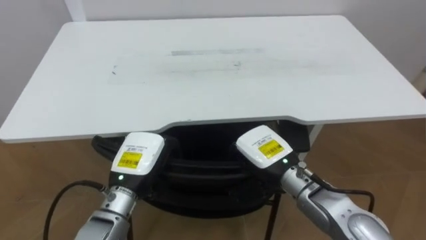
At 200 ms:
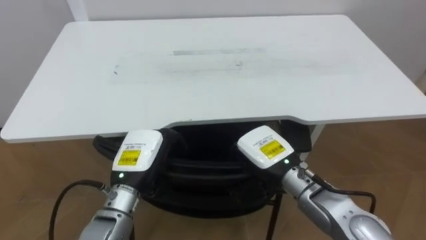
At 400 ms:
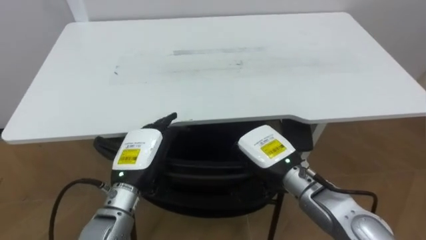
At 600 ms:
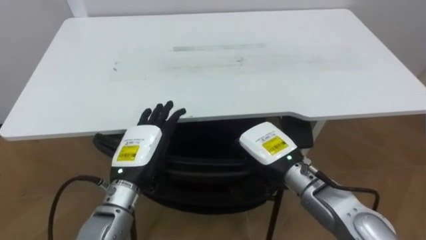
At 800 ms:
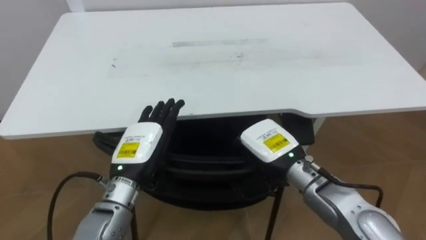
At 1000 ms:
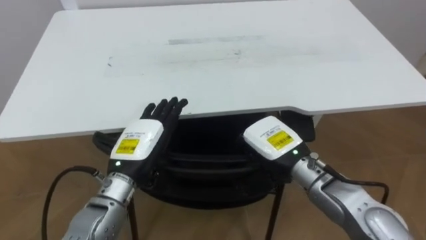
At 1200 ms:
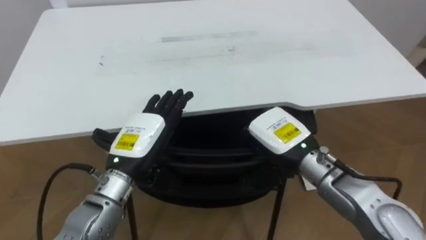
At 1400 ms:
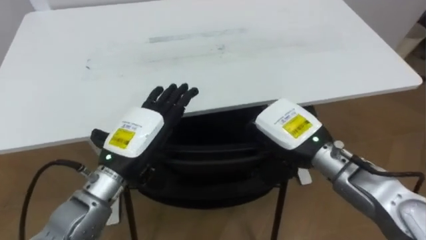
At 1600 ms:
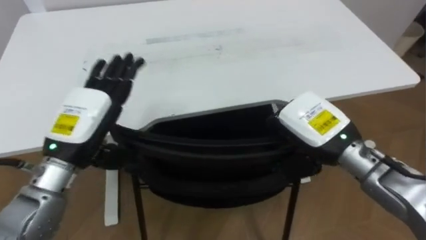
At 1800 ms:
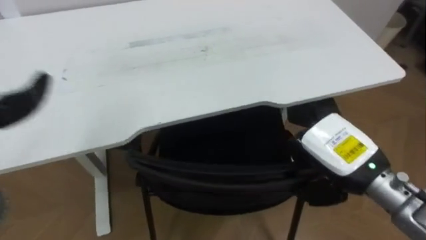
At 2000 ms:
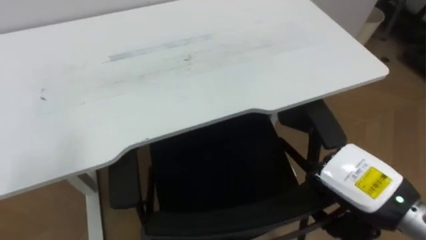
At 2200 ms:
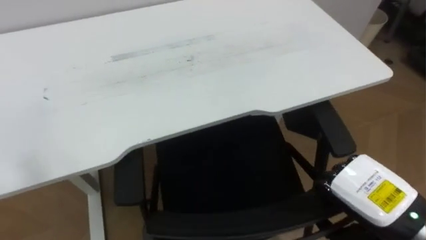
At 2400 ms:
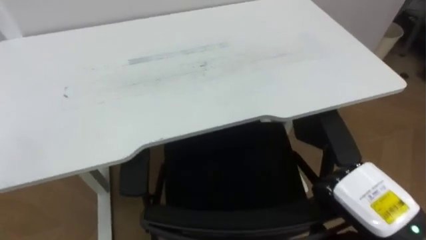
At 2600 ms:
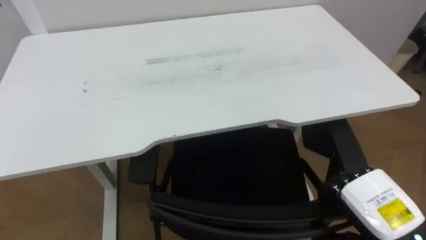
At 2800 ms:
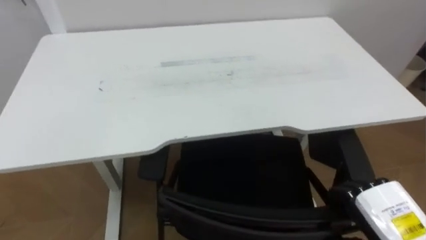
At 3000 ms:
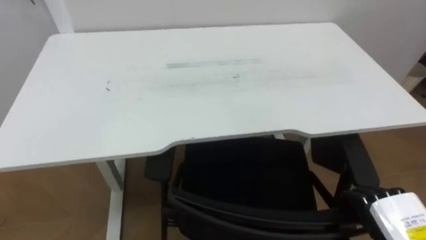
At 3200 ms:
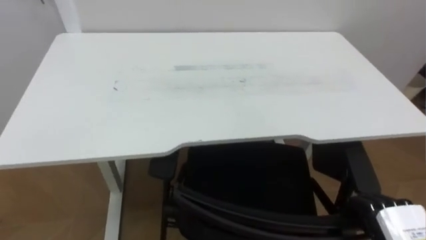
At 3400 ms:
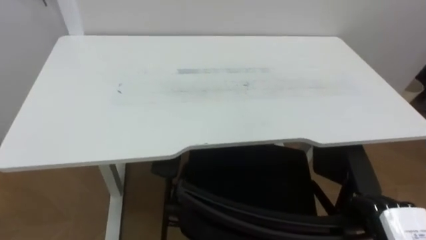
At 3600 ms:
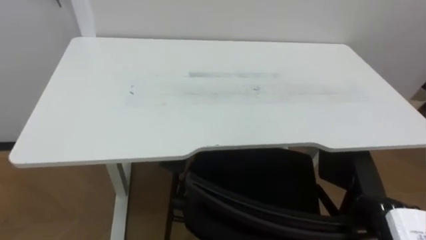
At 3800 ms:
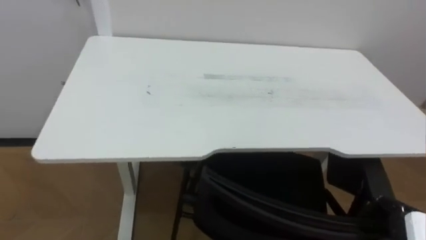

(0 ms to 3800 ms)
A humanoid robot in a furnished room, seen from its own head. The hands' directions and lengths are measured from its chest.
Task of the whole recording: Push the chair under the table.
0 ms - 1200 ms: The left hand opens its fingers; the right hand changes place by some 5 cm.
1200 ms - 2600 ms: The right hand travels to the right and backward by roughly 20 cm.

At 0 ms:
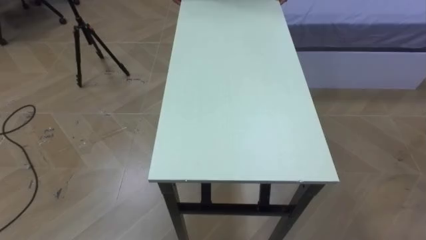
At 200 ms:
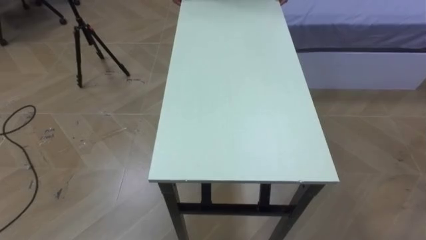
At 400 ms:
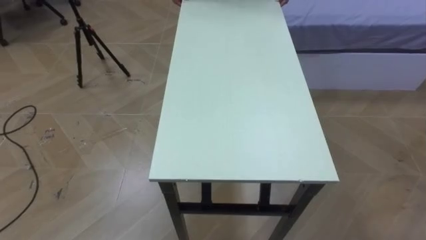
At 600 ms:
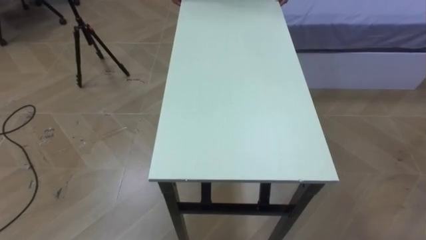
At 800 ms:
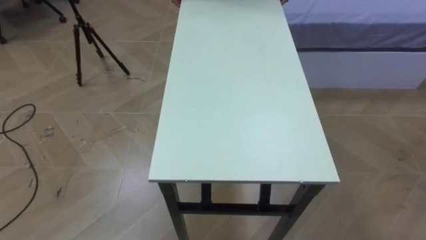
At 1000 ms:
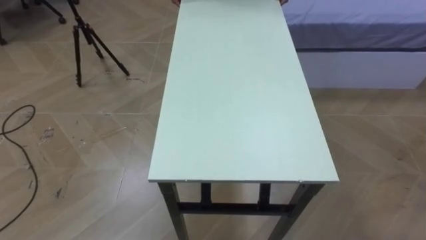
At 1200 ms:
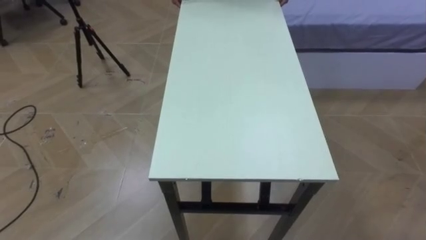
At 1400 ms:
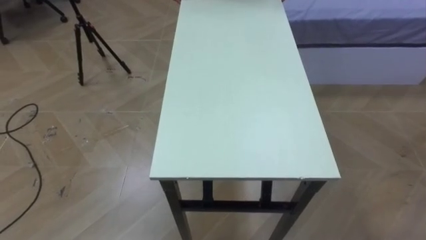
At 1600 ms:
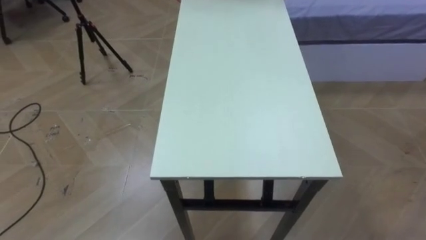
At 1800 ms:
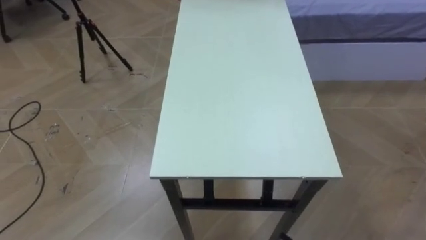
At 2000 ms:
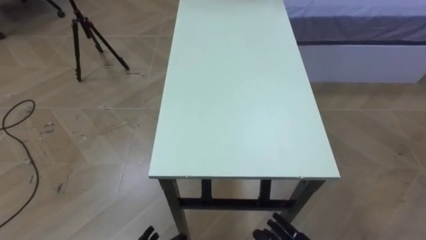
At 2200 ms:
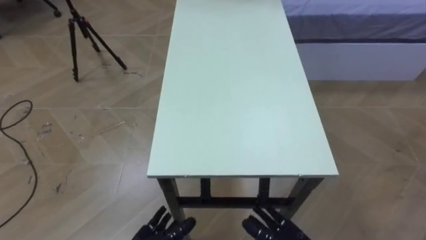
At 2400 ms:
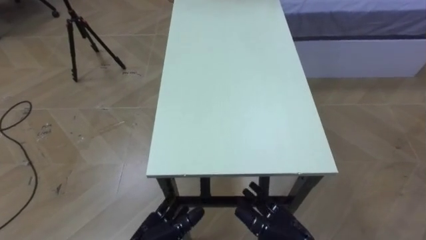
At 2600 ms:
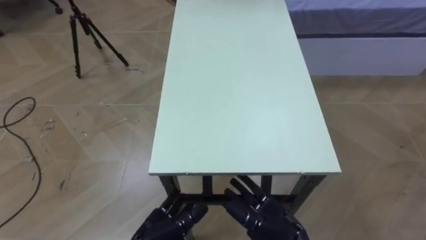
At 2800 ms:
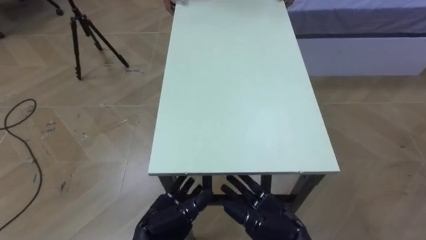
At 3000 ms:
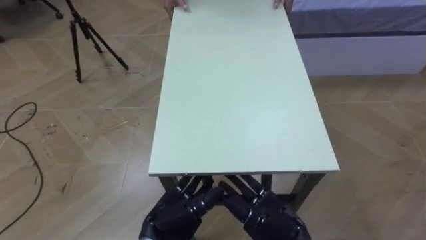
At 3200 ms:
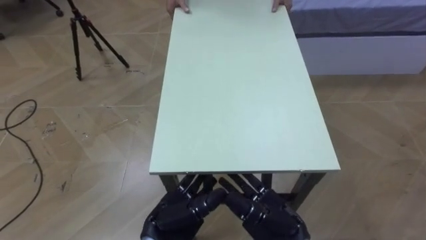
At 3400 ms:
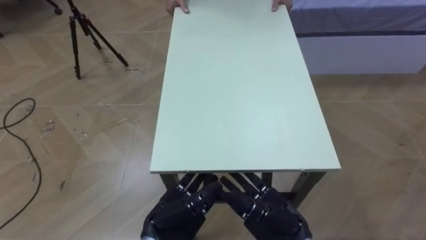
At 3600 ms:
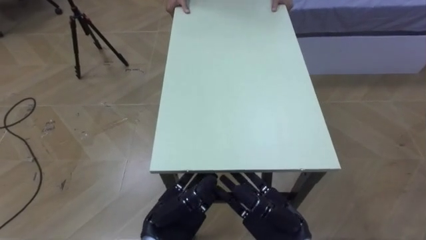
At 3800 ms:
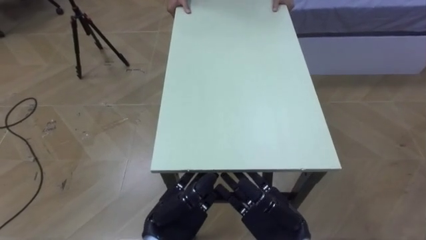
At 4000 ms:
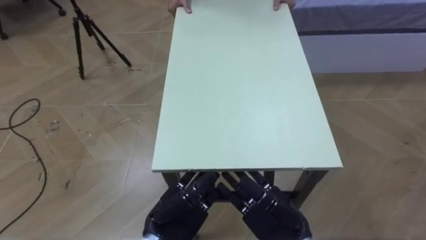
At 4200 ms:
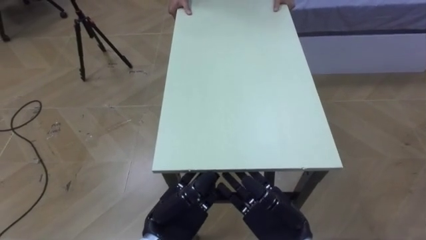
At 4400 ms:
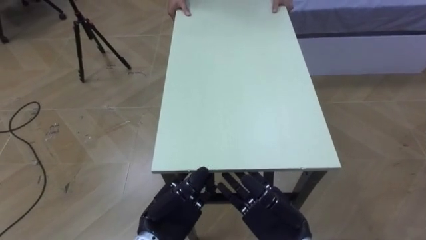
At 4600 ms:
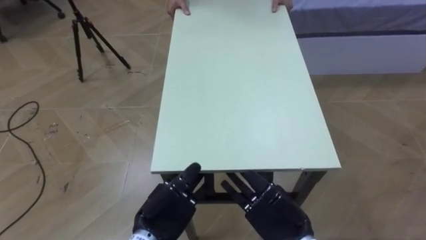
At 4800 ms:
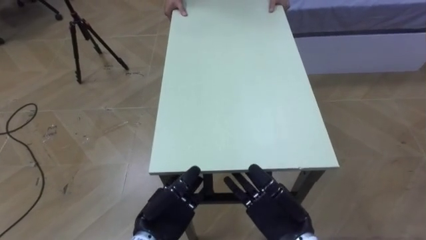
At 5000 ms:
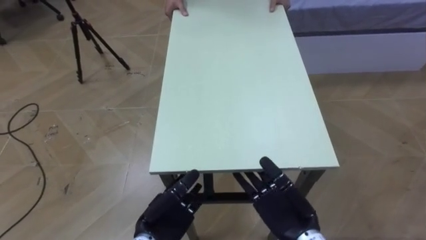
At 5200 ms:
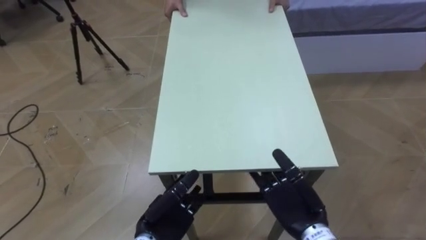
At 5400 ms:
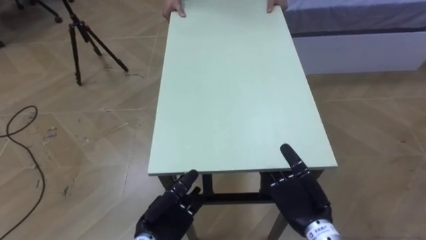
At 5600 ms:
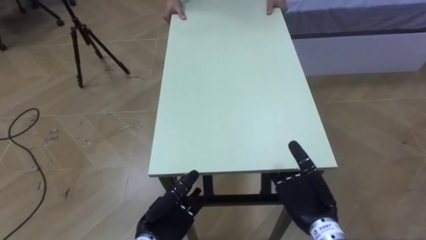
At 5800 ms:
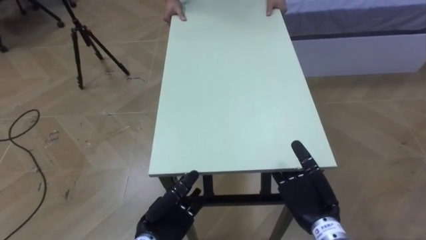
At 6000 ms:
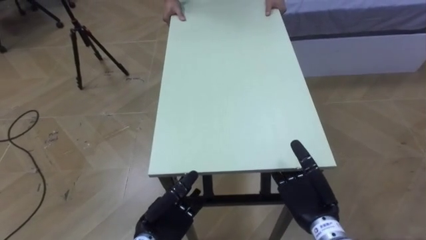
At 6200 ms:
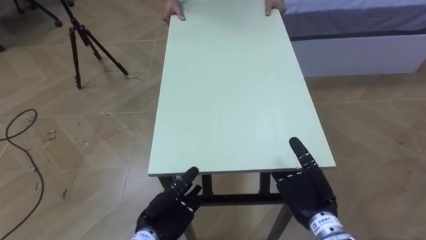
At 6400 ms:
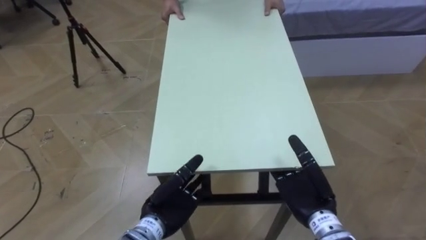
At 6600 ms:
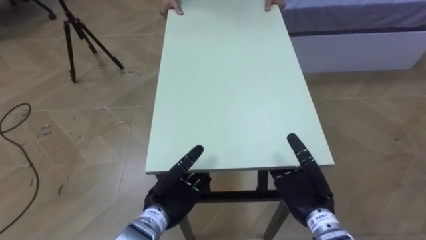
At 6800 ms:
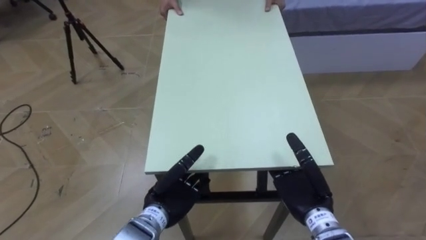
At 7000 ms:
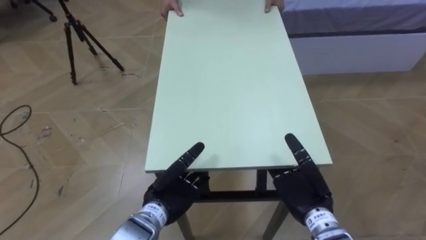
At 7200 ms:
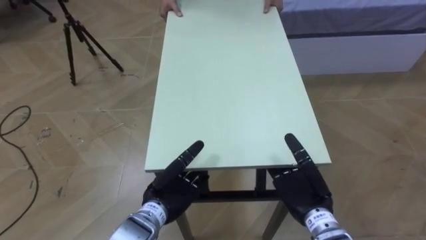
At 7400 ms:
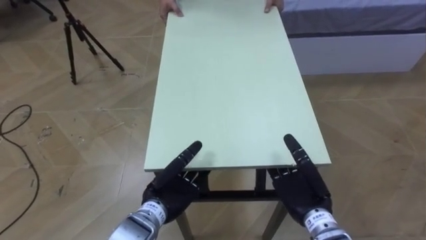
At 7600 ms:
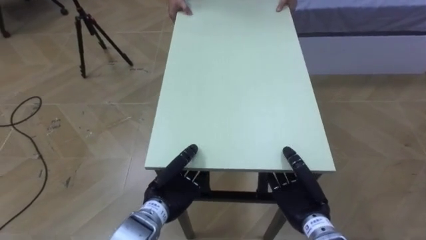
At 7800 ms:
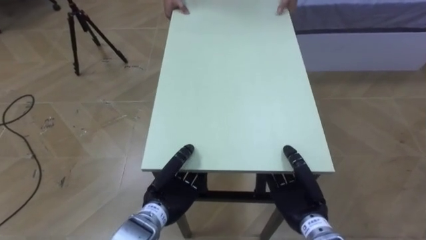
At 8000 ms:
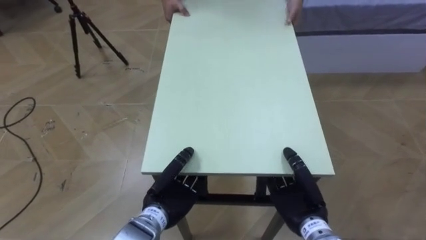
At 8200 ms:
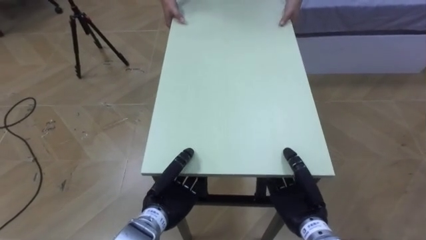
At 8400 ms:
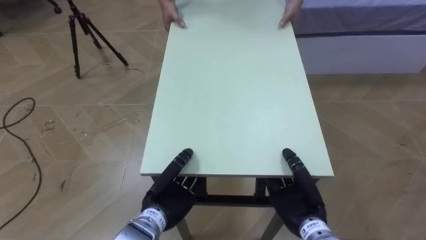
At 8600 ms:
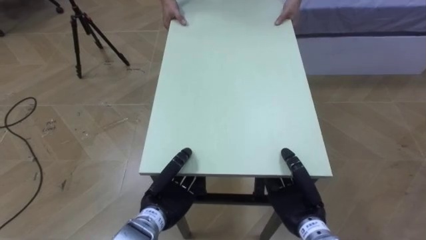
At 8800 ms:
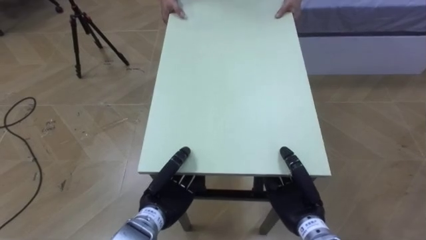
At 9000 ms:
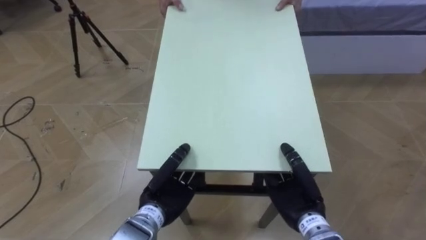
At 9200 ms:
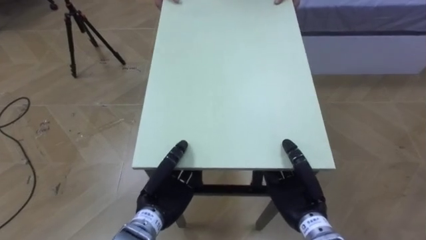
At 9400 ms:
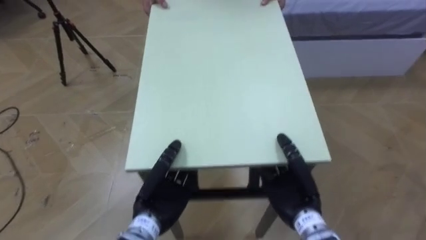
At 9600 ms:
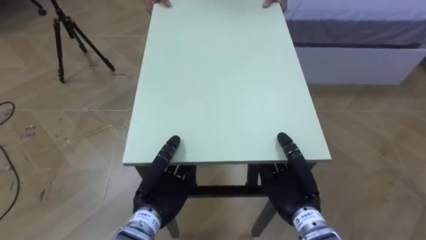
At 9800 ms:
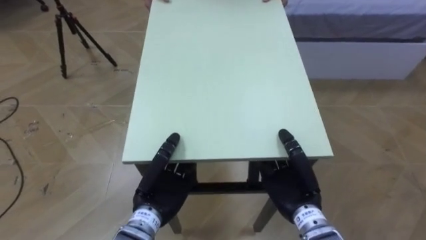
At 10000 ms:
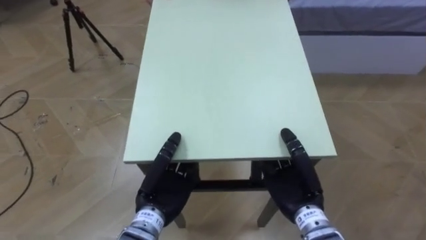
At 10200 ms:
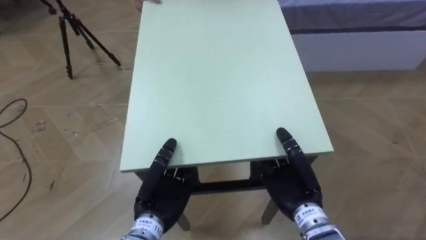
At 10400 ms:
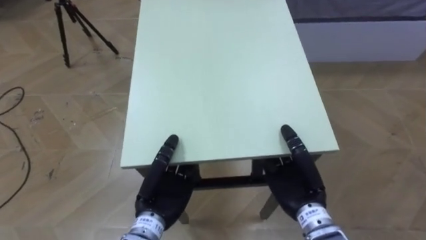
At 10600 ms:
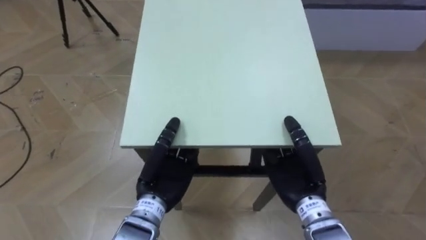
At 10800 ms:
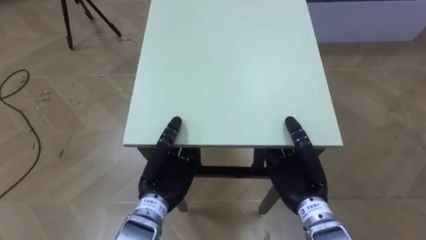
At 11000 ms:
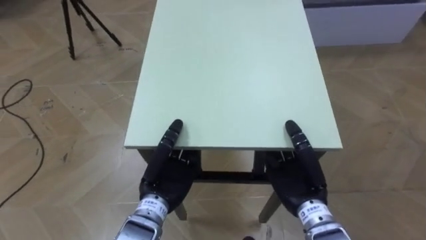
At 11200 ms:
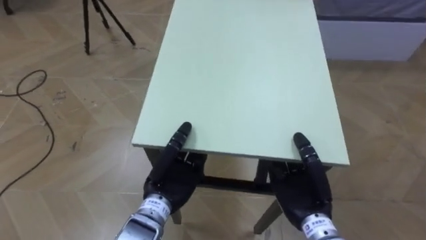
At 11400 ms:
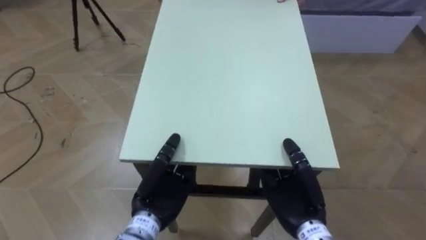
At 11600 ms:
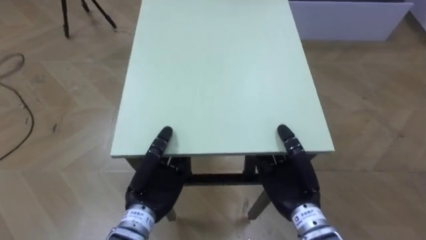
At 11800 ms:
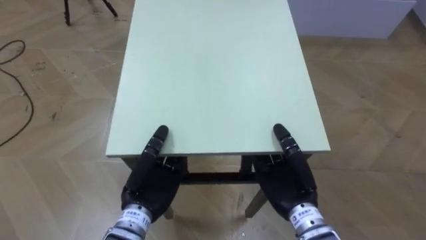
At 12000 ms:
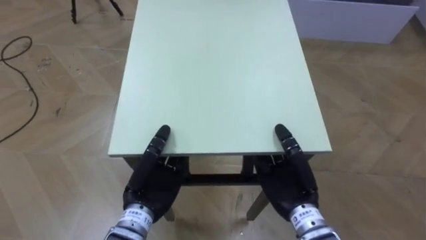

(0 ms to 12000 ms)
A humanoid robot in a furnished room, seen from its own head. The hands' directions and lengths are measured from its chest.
Task of the whole recording: Move the table to the back left with someone.
3000 ms - 4400 ms: The hands stay close to where they were, moving slightly.
4400 ms - 6000 ms: The right hand heads to the right, covering about 5 cm.
6000 ms - 7600 ms: The right hand closes its fingers. The left hand ends up approximately 5 cm from where it was, and closes its fingers.
9000 ms - 10400 ms: The right hand moves roughly 5 cm.

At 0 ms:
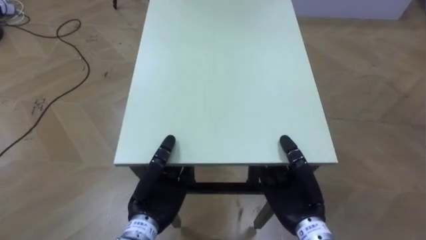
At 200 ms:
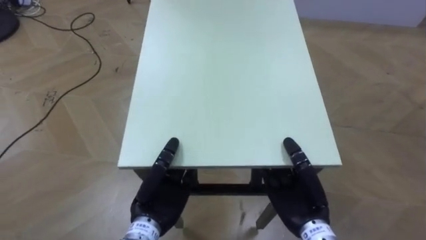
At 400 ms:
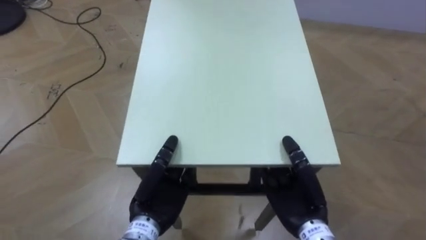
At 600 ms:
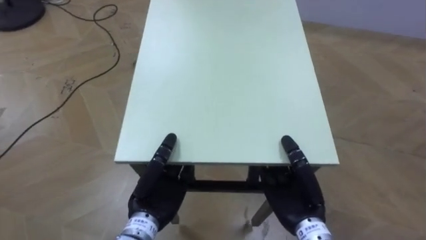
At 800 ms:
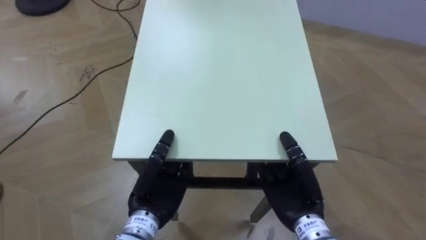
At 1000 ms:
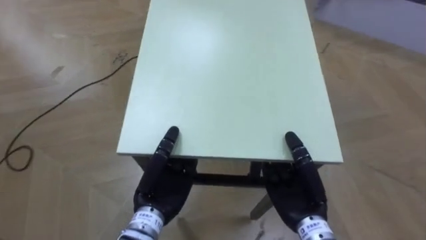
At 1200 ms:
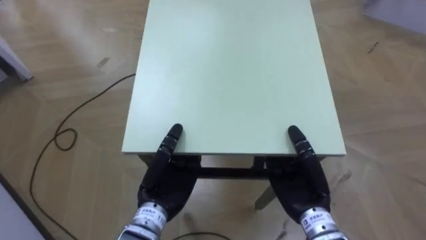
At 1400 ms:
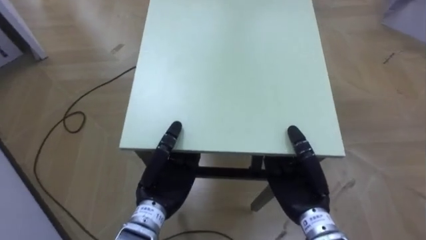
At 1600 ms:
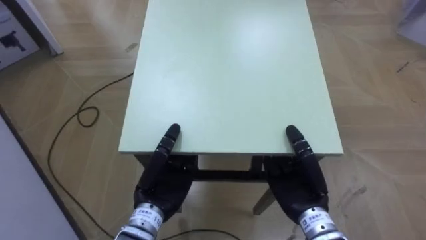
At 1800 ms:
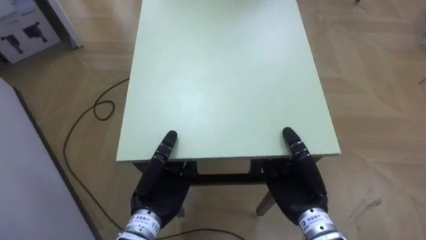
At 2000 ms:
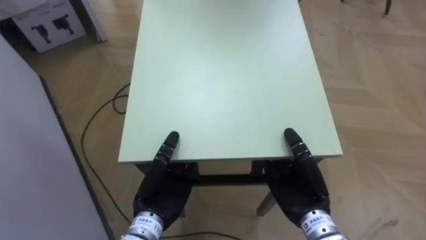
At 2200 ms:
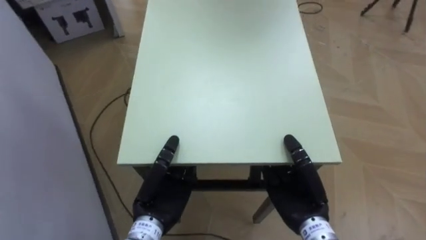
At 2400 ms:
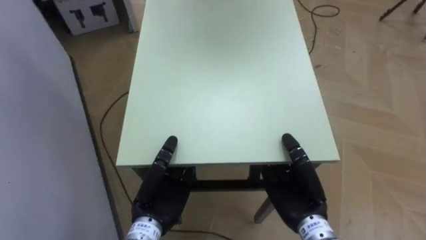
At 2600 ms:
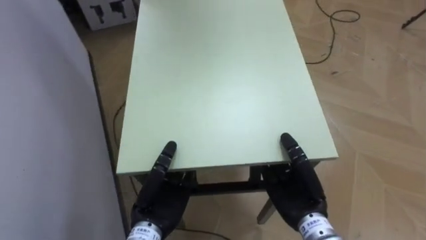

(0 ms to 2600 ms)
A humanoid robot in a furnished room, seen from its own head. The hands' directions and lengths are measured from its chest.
Task of the whole recording: Move the table to the back left with someone.
0 ms - 1200 ms: The robot turns to its left by about 35 degrees.
1200 ms - 2600 ms: The robot faces about 30 degrees further to its left.
